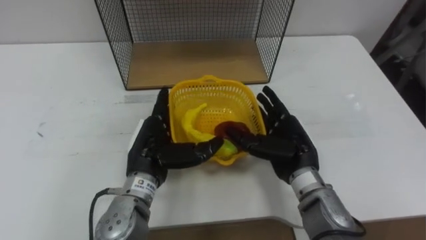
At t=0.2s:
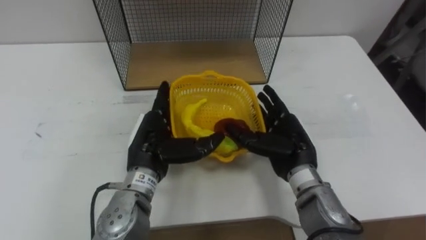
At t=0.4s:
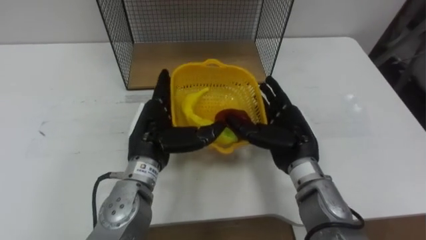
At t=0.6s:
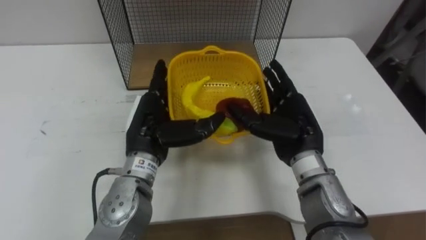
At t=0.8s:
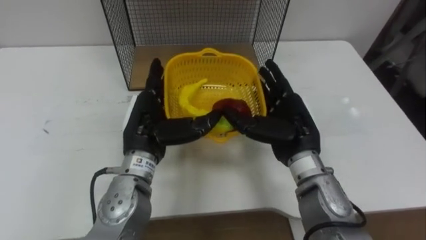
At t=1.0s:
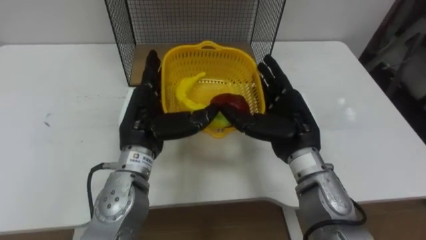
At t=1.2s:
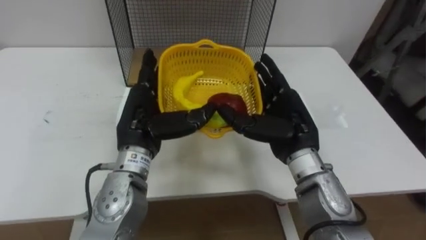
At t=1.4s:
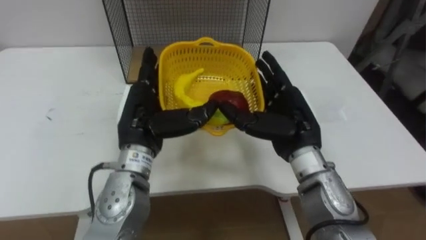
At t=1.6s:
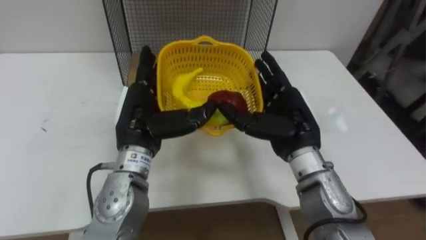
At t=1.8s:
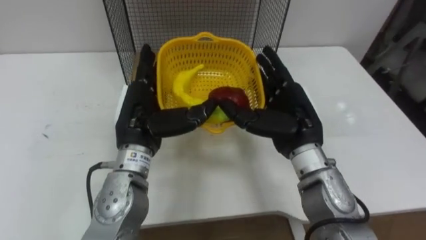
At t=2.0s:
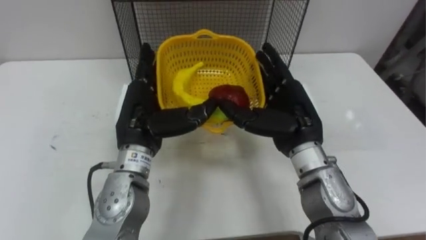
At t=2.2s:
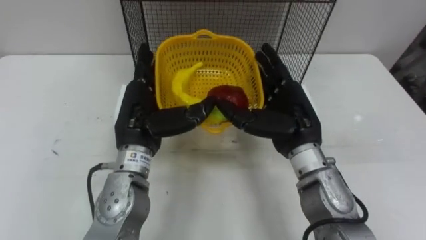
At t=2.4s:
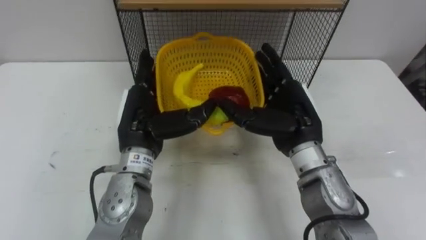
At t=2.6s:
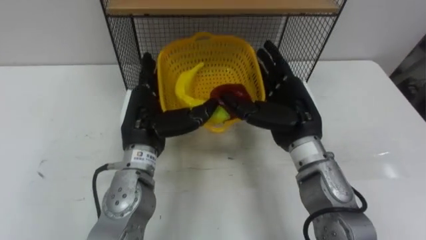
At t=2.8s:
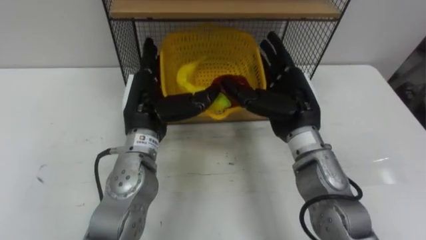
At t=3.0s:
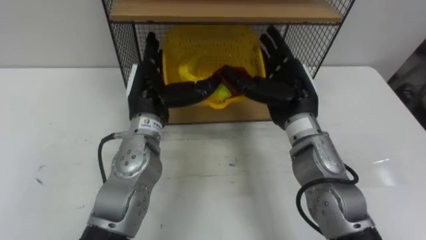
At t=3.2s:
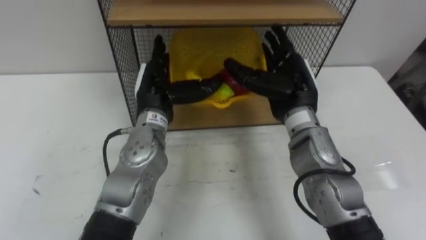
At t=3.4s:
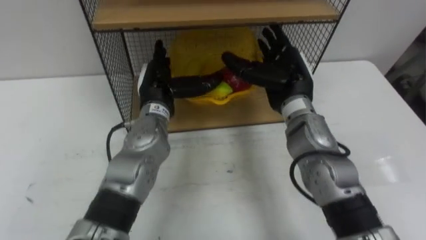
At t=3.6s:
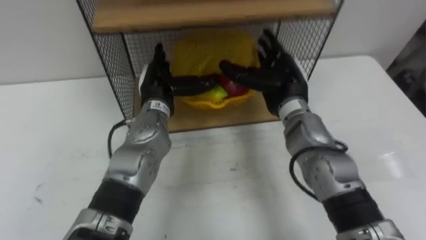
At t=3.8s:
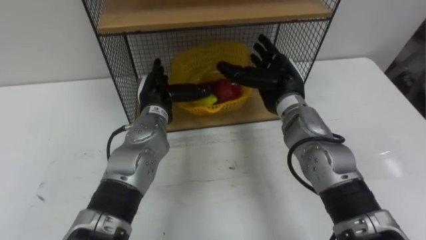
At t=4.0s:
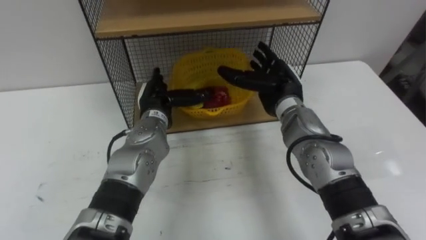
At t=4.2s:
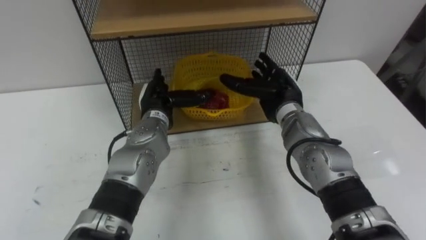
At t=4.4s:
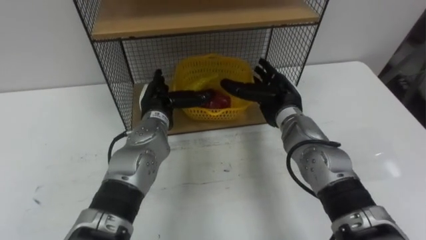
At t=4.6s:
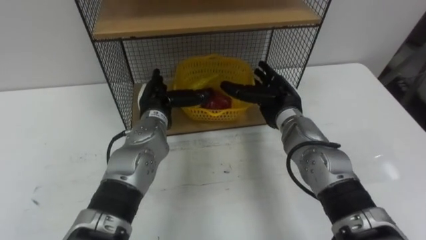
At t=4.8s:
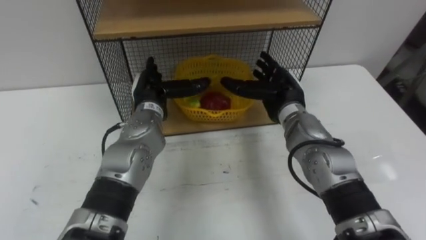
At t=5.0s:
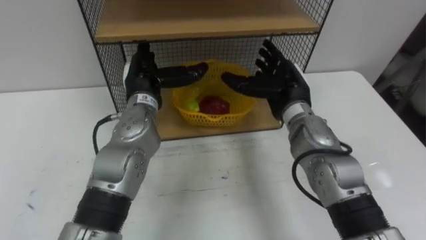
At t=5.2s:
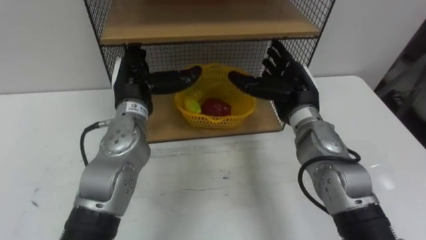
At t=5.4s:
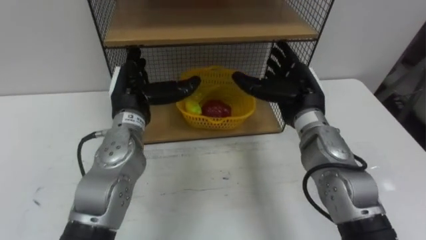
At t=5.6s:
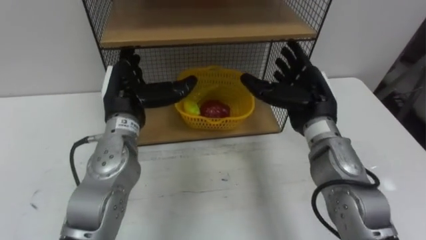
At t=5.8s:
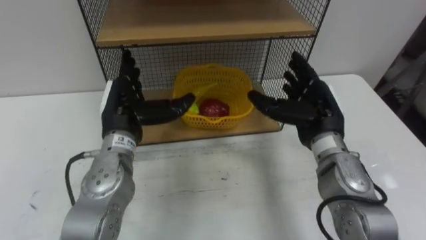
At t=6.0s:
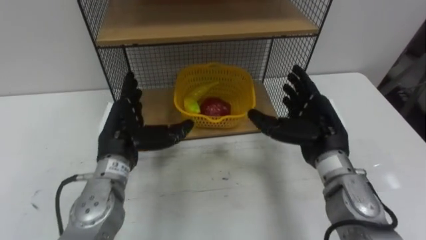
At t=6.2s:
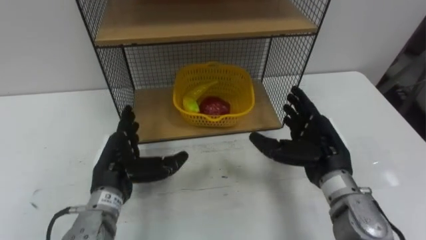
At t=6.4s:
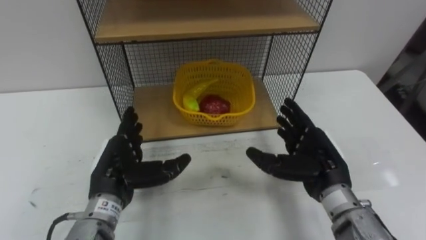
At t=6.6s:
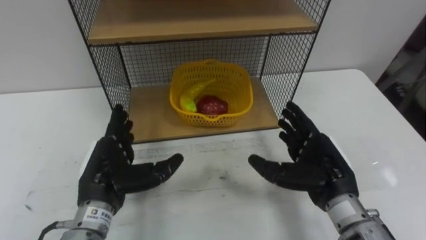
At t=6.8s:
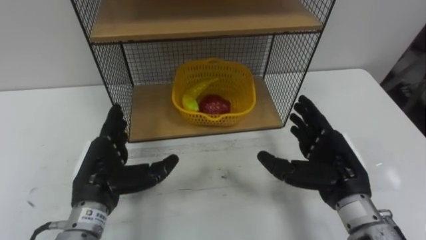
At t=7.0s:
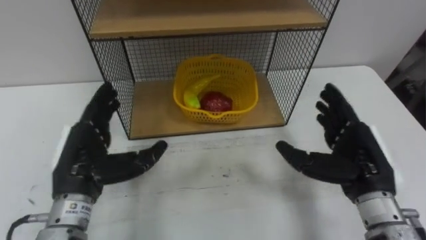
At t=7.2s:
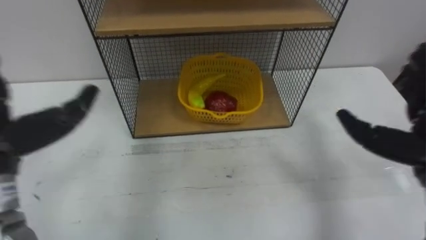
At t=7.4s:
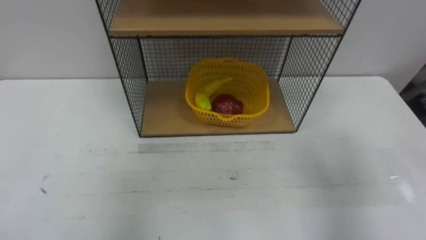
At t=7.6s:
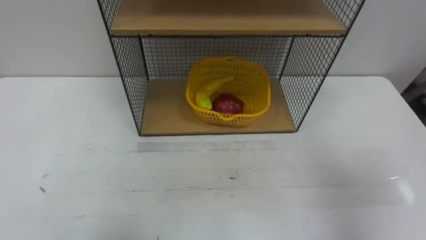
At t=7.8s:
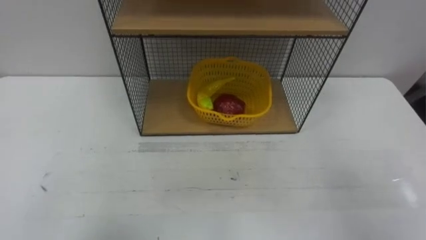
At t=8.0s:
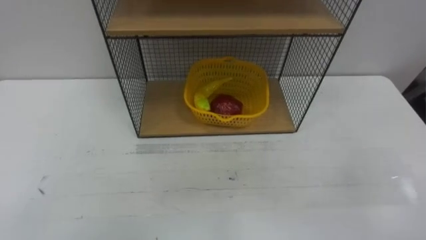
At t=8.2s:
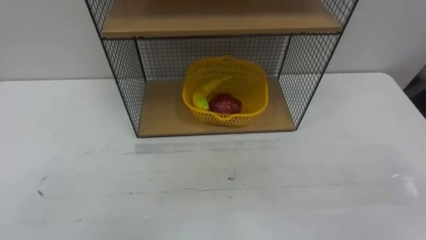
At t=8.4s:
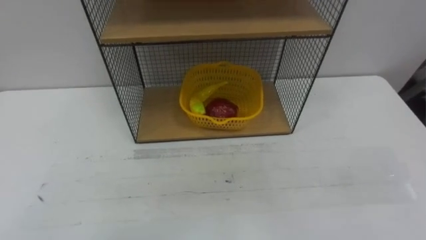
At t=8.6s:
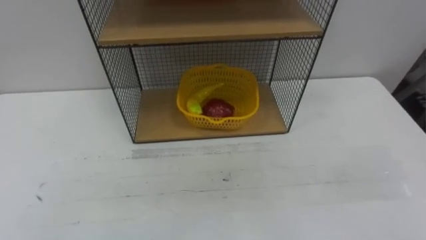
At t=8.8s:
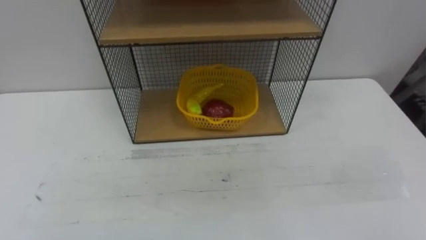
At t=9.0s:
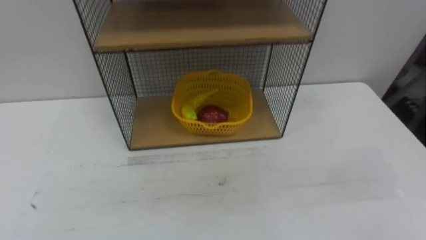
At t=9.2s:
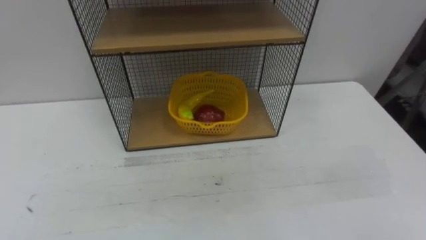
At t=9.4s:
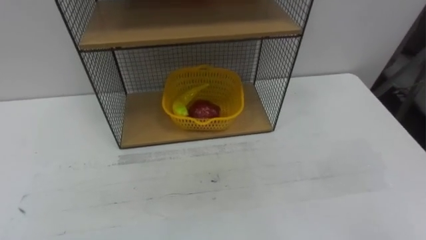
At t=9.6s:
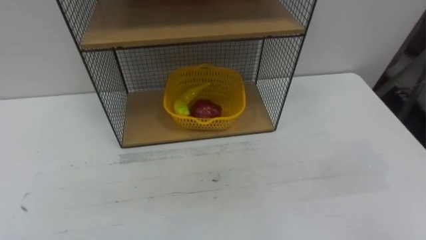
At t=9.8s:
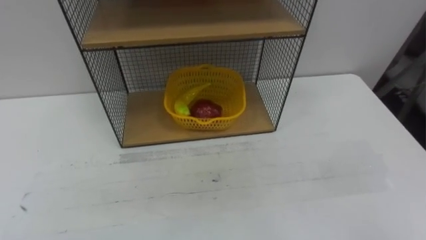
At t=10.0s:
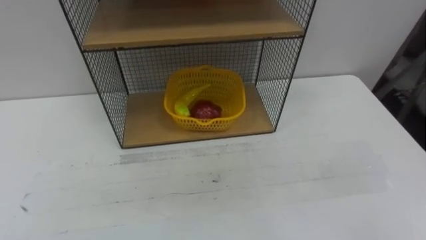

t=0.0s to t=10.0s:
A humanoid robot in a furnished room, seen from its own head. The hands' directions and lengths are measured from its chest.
Task of the whole recording: Put the fruit on the table into the basket, then place the basket on the shelf.
t=0.0s to t=1.4s: The hands both shift upward by approximately 5 cm.
t=2.8s to t=4.2s: The left hand moves downward and forward, some 10 cm. Meanwhile the right hand moves forward and downward, roughly 10 cm.
t=4.2s to t=5.8s: The left hand moves backward, upward and to the left, approximately 10 cm. The right hand shifts approximately 10 cm backward and to the right.

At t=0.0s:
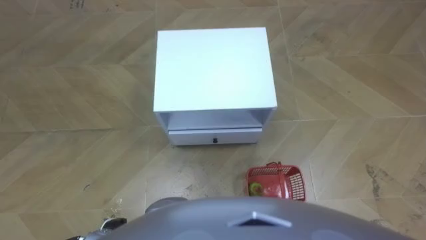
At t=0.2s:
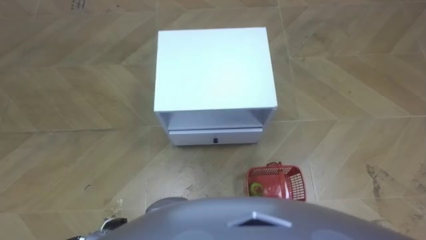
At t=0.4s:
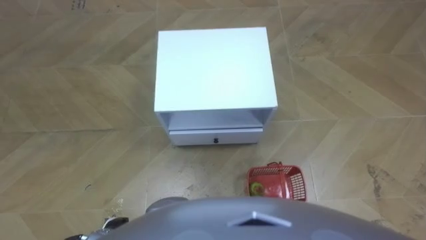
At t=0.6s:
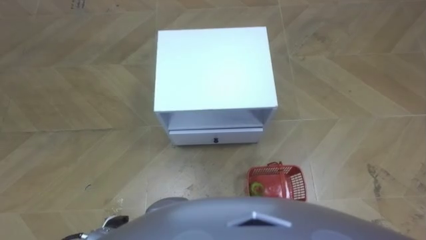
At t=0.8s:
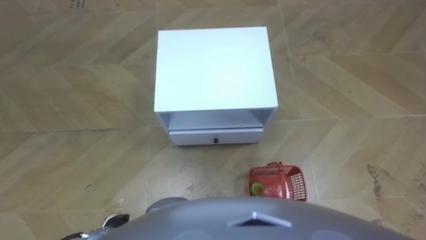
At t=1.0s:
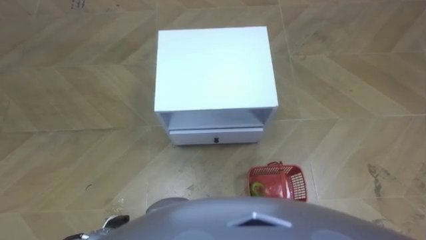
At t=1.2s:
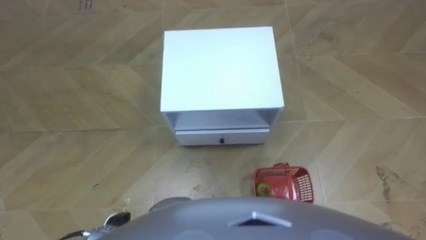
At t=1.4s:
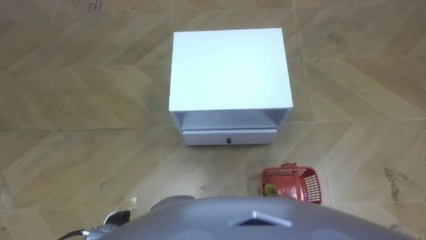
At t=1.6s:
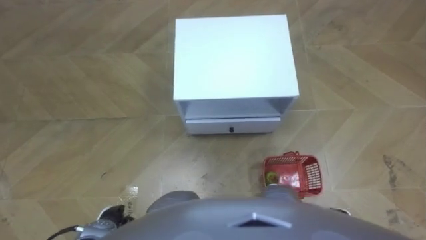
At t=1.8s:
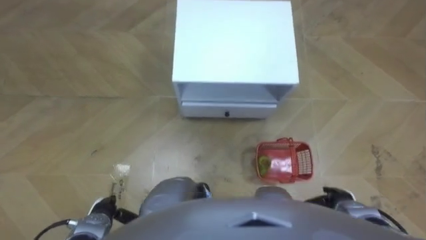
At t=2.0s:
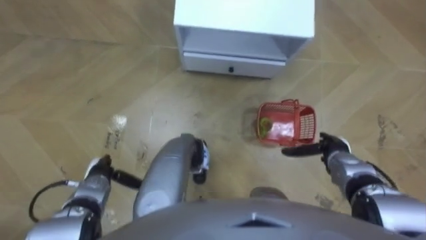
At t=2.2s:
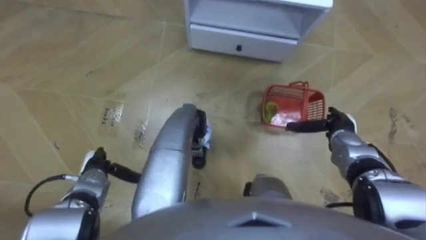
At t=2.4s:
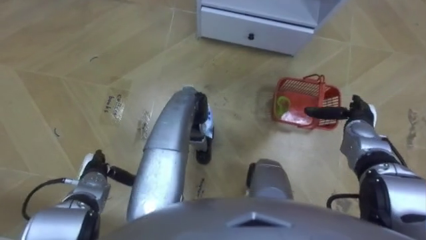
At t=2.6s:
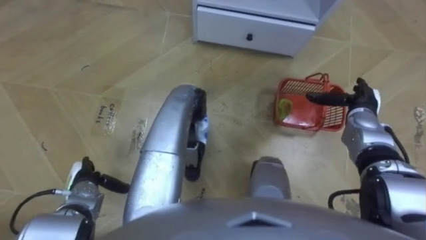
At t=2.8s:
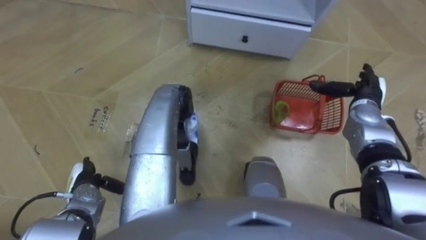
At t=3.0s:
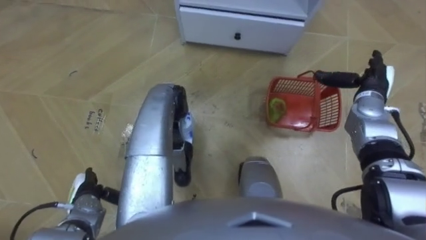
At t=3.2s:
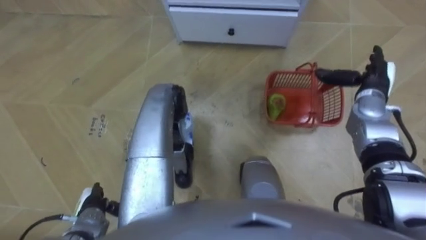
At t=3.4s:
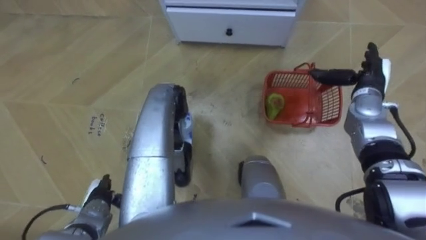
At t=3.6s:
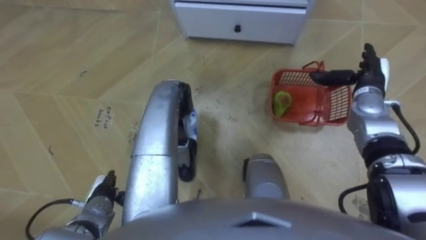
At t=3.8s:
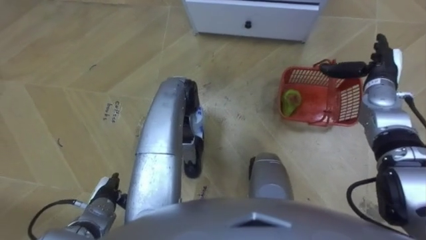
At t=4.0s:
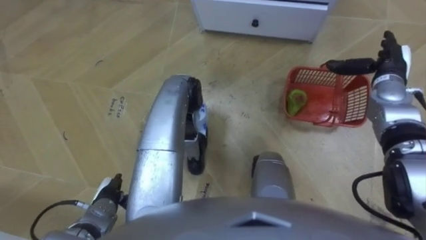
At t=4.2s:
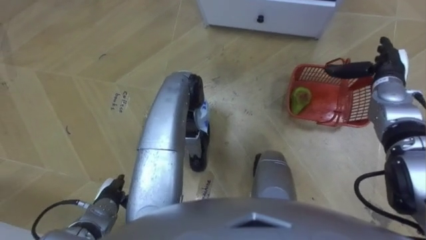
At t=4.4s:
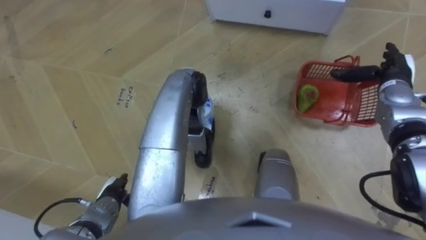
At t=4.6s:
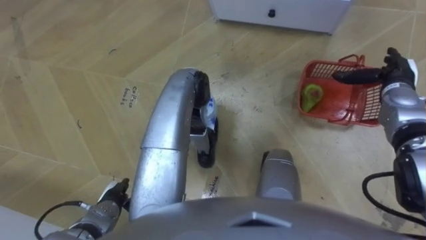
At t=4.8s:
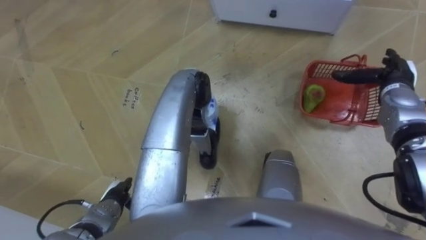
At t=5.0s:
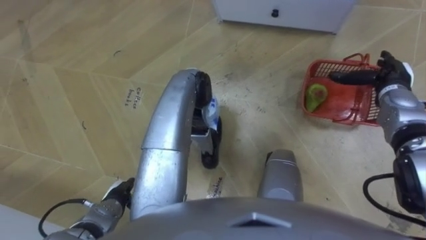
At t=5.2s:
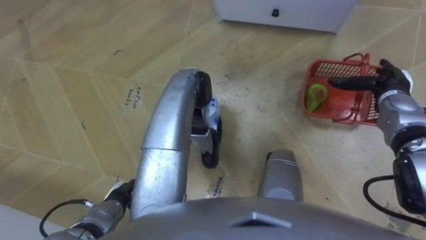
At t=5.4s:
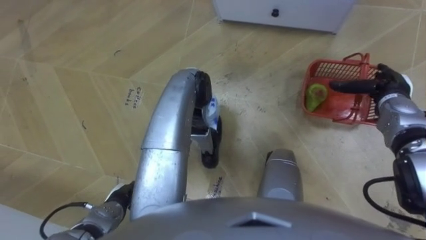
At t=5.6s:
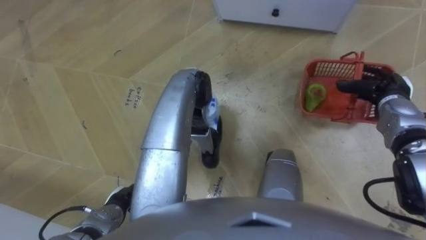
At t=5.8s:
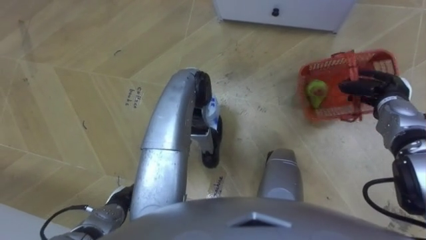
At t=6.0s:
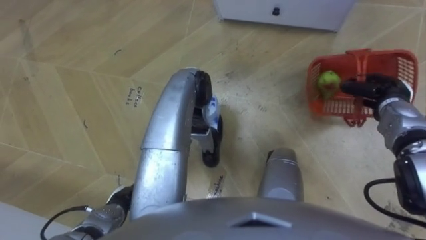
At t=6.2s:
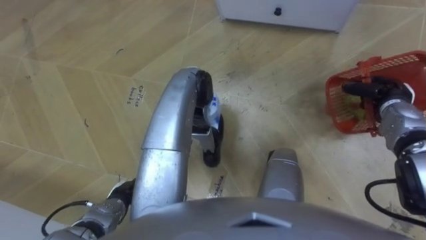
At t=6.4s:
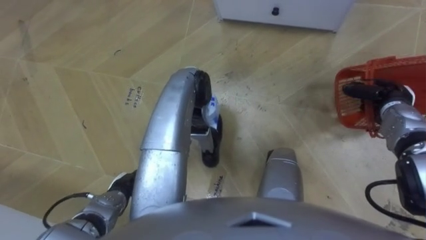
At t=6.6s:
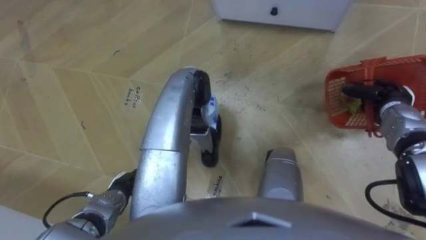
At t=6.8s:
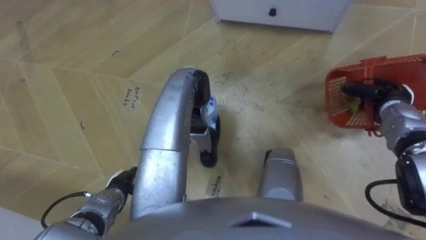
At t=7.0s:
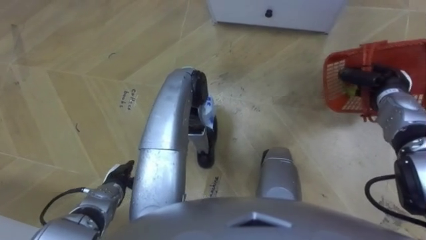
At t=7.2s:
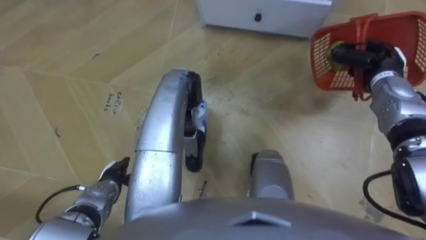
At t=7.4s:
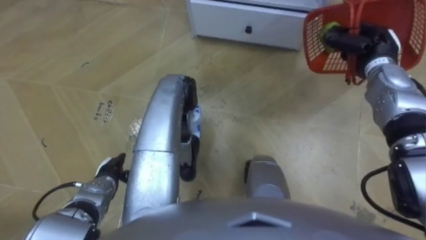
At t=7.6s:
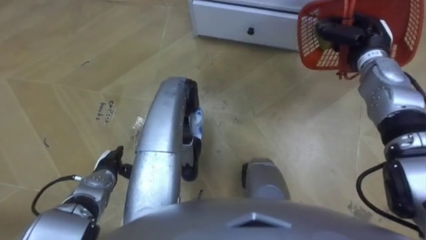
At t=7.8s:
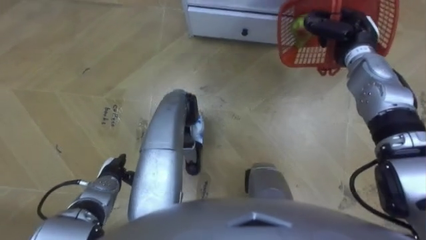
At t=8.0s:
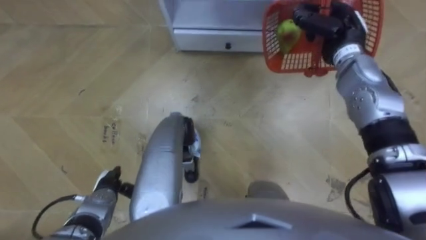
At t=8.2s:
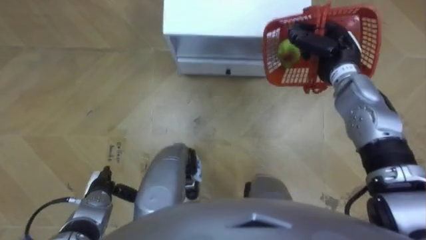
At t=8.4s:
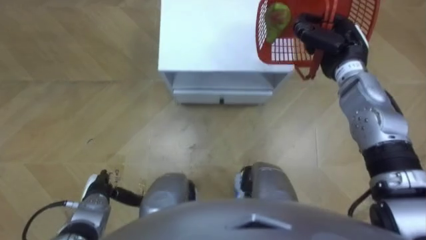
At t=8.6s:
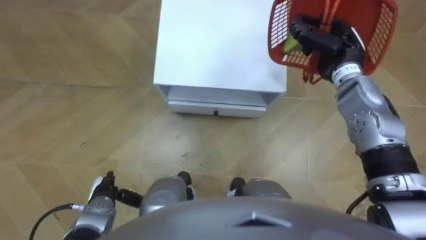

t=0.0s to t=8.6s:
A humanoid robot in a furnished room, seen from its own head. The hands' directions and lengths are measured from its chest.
Task of the whole recording: Pick up the fruit basket from the floor and place it on the cabinet.
t=1.4s to t=2.8s: The right hand moves forward and upward, some 30 cm; the left hand is displaced forward and to the left by roughly 10 cm.
t=2.8s to t=4.4s: The right hand moves some 5 cm; the left hand heads to the right, covering some 5 cm.
t=4.4s to t=5.8s: The right hand closes.
t=5.8s to t=7.2s: The left hand goes some 5 cm forward; the right hand ends up roughly 5 cm from where it was.
t=7.2s to t=8.6s: The right hand travels to the left and upward by some 10 cm.
